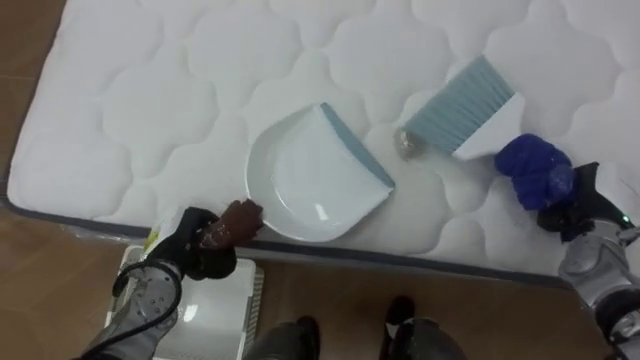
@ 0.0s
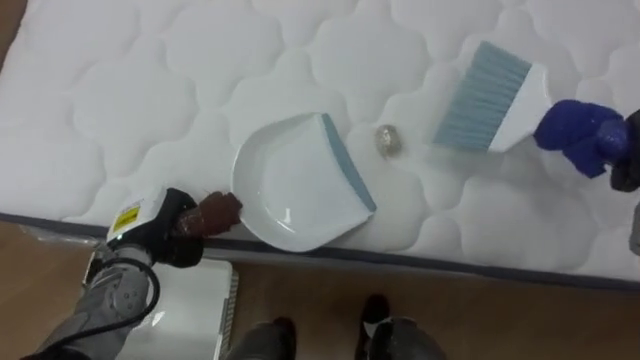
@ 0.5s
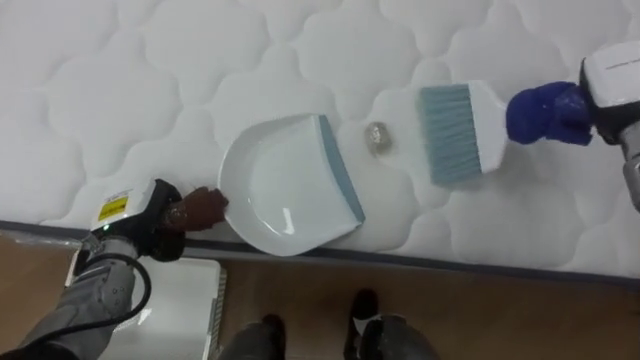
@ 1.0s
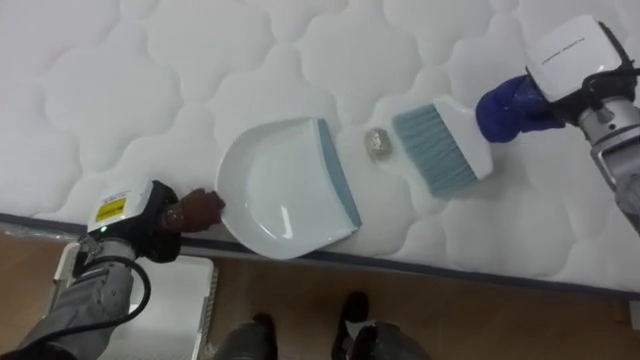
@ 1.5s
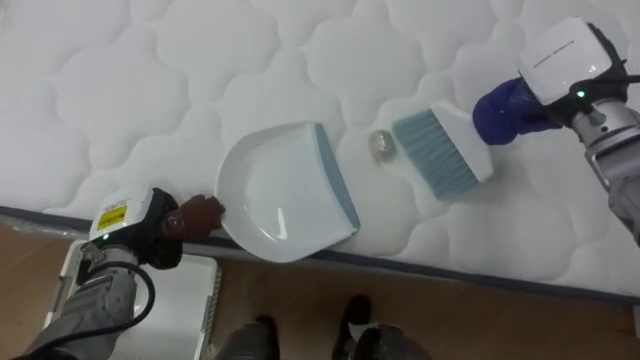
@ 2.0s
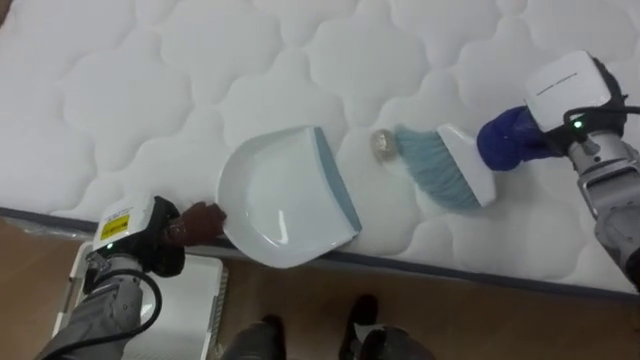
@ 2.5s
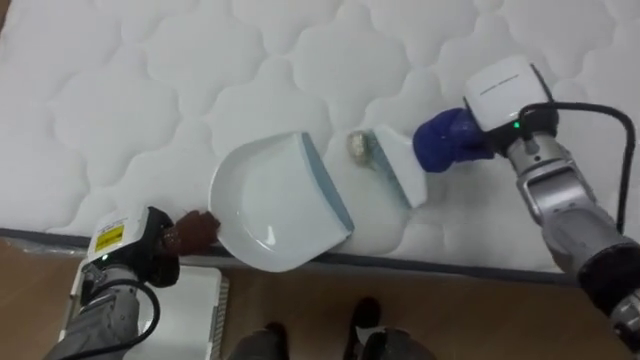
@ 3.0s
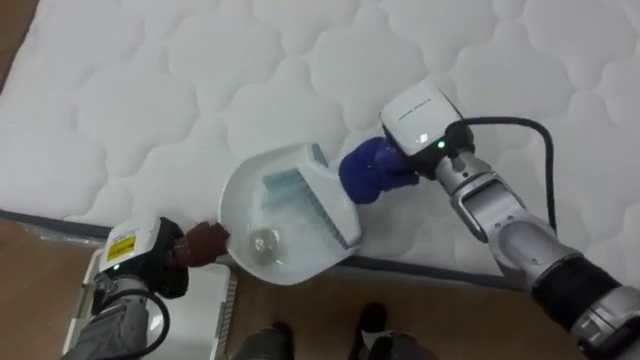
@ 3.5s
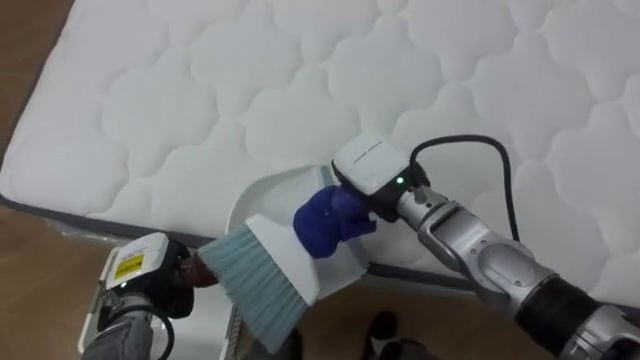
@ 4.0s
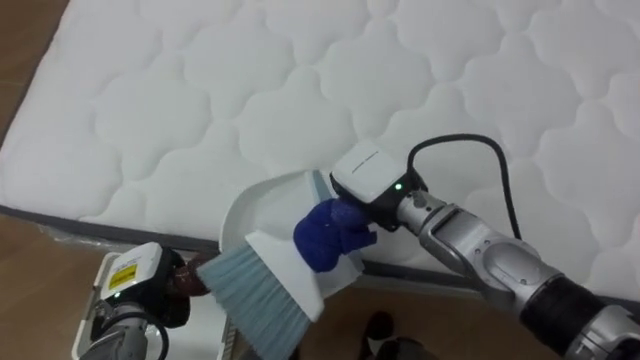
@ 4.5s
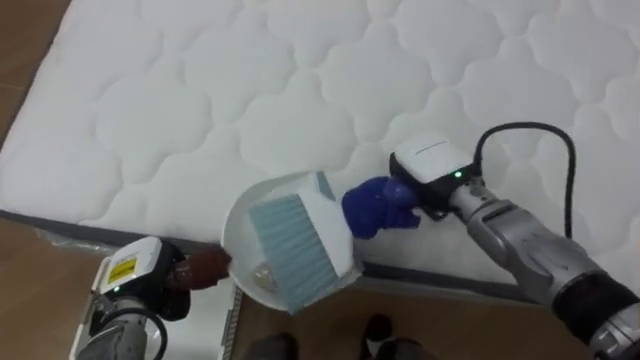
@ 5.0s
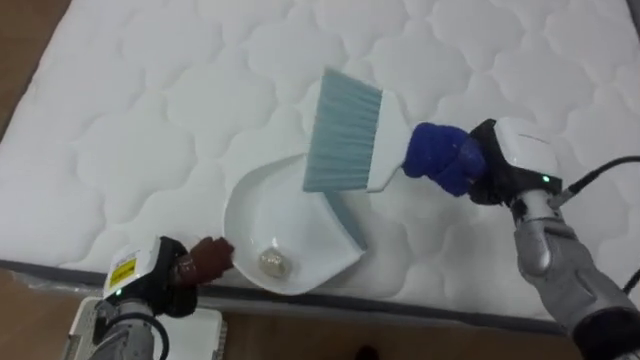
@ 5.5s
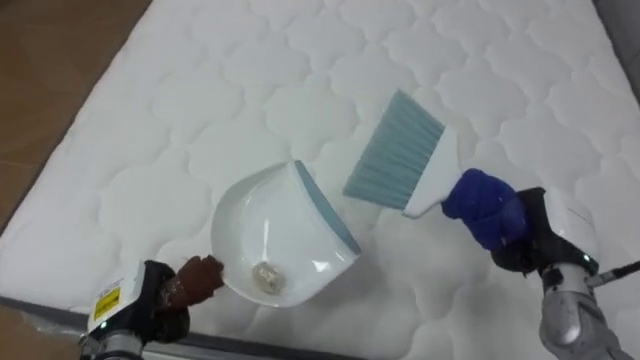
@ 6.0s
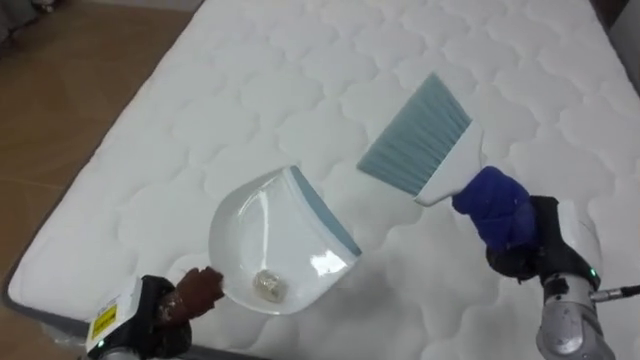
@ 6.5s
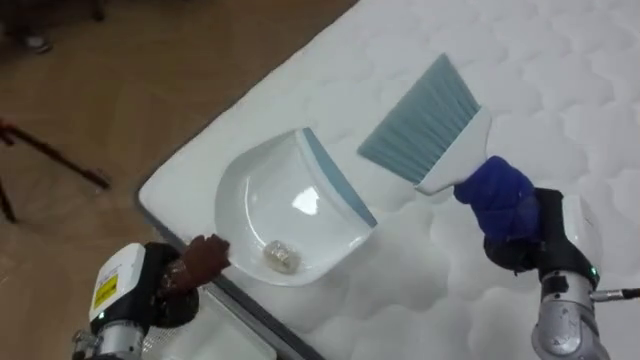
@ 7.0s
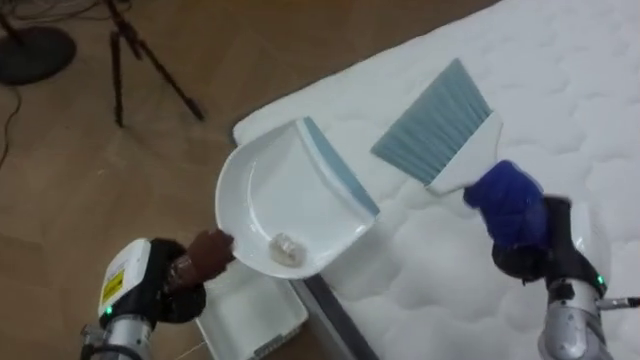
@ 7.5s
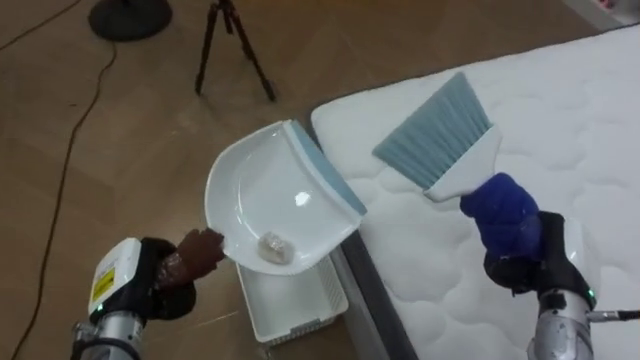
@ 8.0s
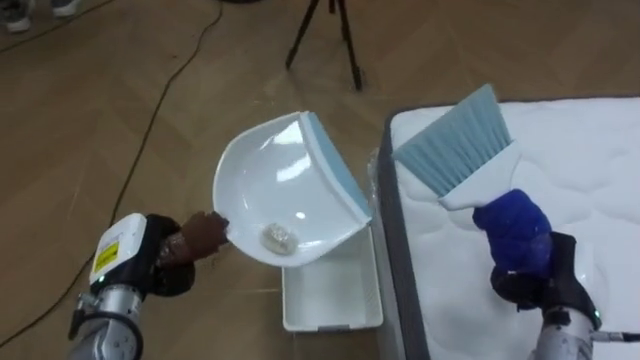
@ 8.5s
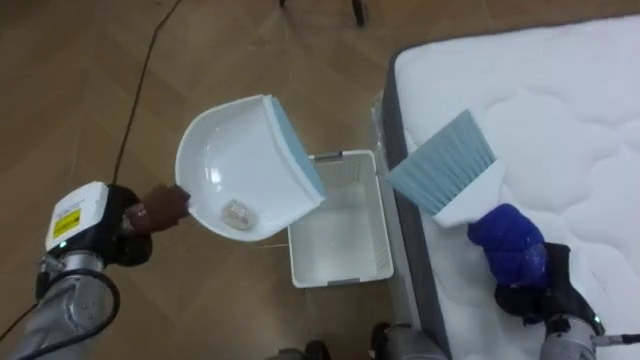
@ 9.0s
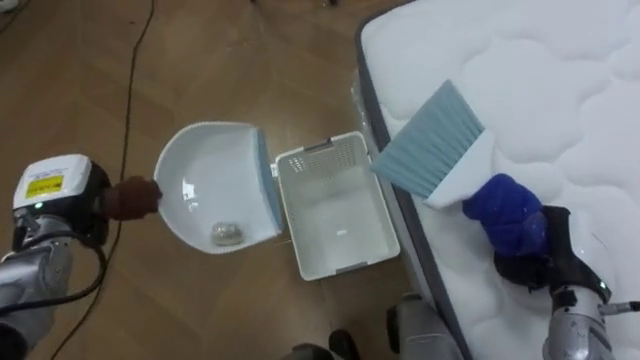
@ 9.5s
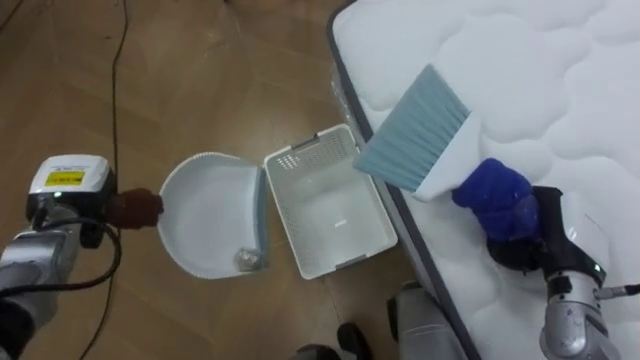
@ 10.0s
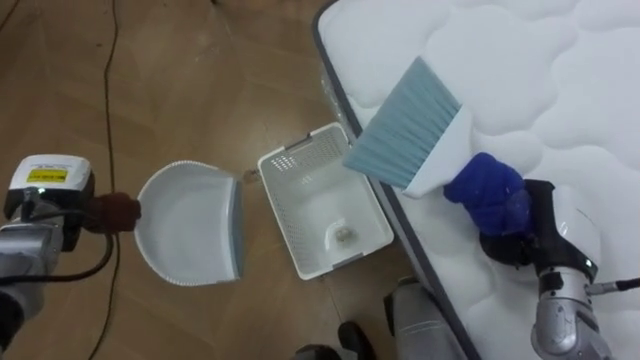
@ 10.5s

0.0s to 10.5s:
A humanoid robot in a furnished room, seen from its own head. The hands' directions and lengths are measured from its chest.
Task of the whole recording: Pick up the brush on your right and the dustpan on your left. Use the brush to sweep the crumpled paper on the bed into the dustpan, then turn left and empty it into the basket.
0.0s to 2.0s: The left hand heads to the left, covering about 5 cm.
2.0s to 4.0s: The right hand travels to the left and downward by approximately 25 cm. The left hand heads downward, covering about 5 cm.
4.0s to 6.5s: The right hand goes approximately 25 cm to the right, while the left hand moves backward, some 5 cm.
6.5s to 8.5s: The robot faces roughly 80 degrees further to its left. The left hand shifts some 5 cm forward.
8.5s to 10.5s: The right hand ends up some 5 cm from where it was, while the left hand moves to the left and forward, about 10 cm.

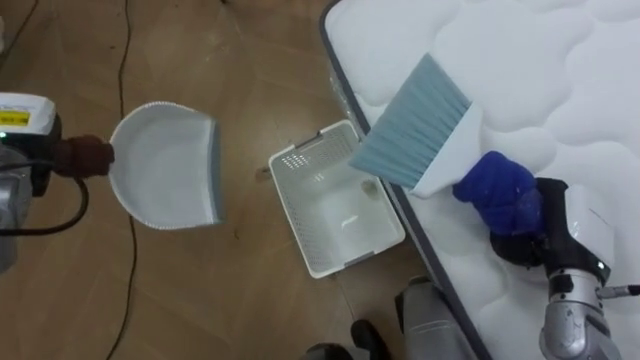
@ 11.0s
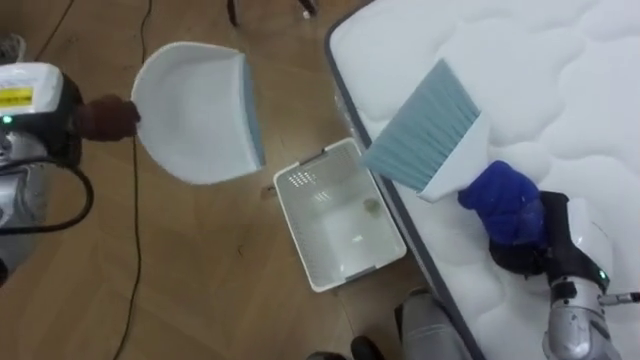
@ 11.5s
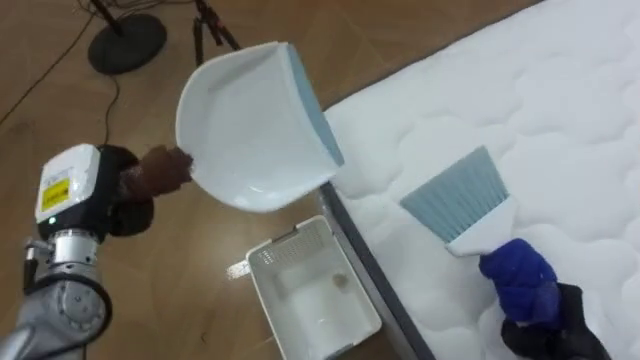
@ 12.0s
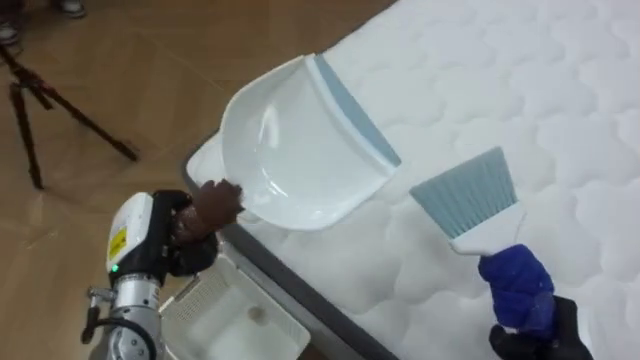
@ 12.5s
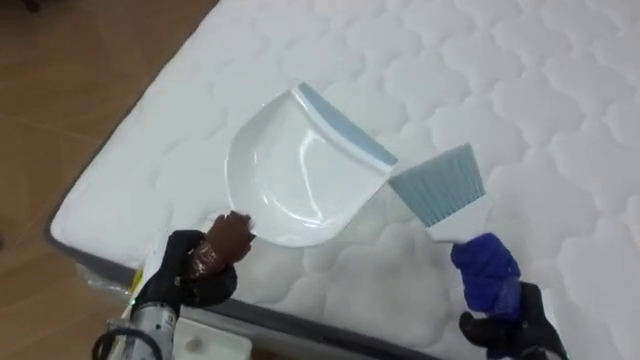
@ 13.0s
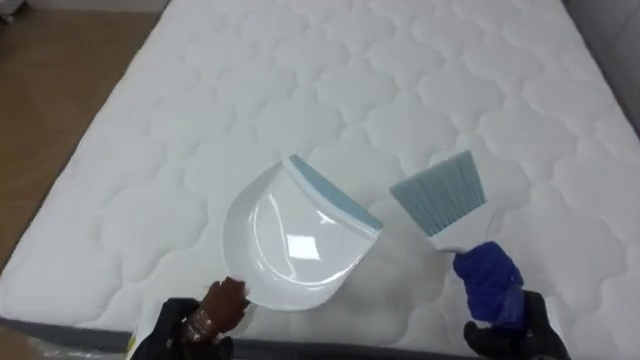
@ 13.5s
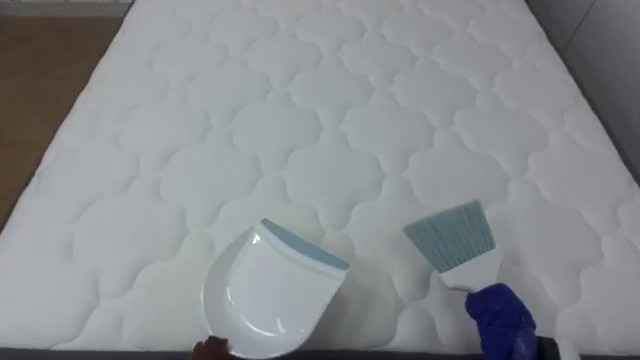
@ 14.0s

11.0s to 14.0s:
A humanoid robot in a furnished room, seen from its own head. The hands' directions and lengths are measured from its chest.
Task of the whole recording: Pick up the brush on your right and the dustpan on your left. Use the brush to sweep the crumpled paper on the bed into the dustpan, then turn left and empty it into the basket.
11.0s to 12.5s: The robot faces roughly 45 degrees further to its right. The left hand shifts about 20 cm to the right, backward and downward.
12.5s to 14.0s: The robot faces roughly 45 degrees further to its right.

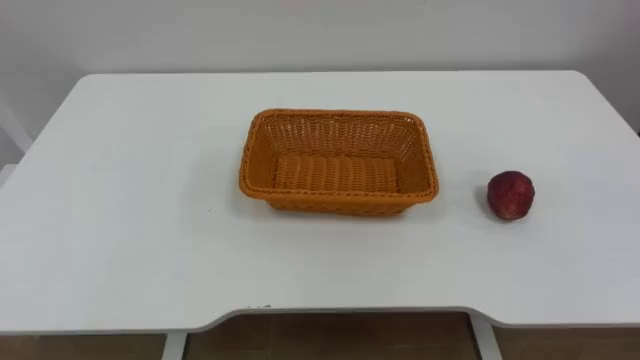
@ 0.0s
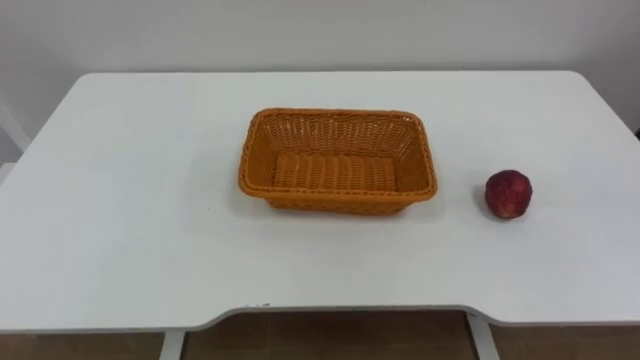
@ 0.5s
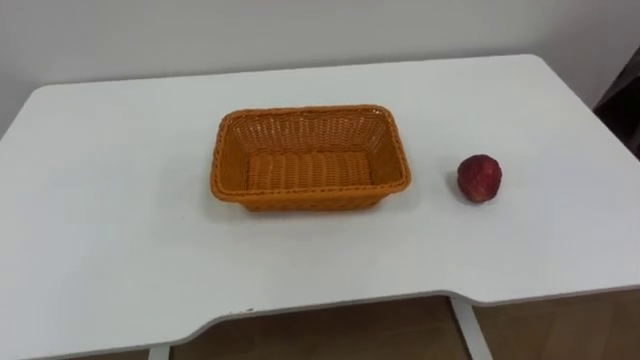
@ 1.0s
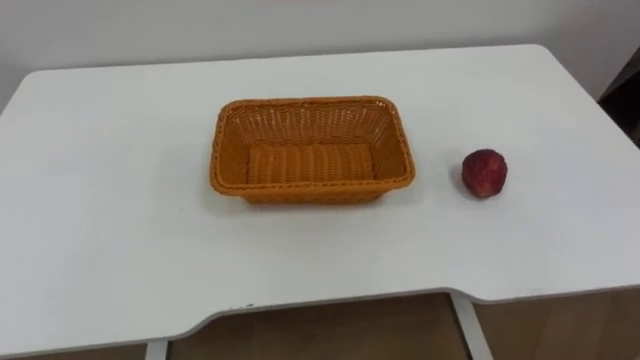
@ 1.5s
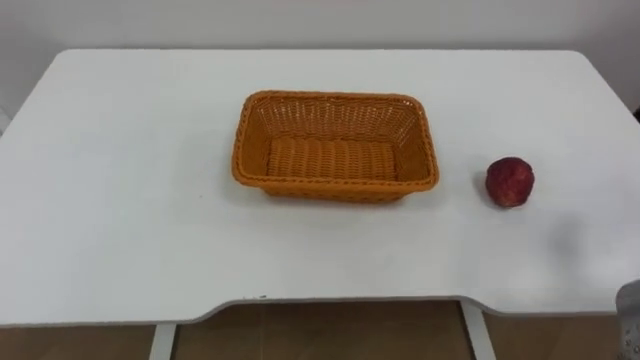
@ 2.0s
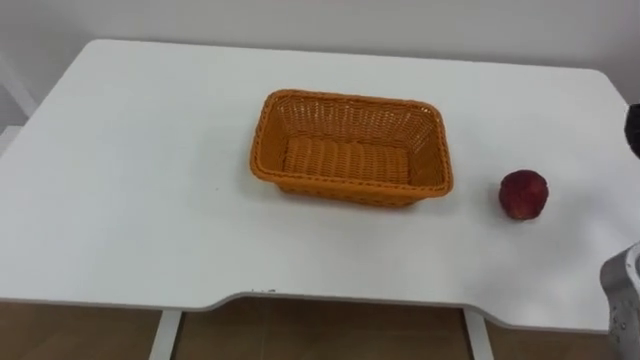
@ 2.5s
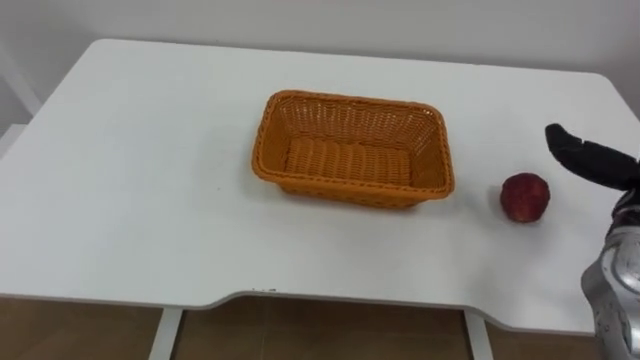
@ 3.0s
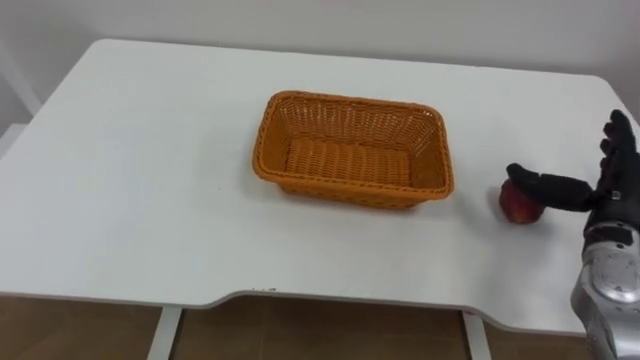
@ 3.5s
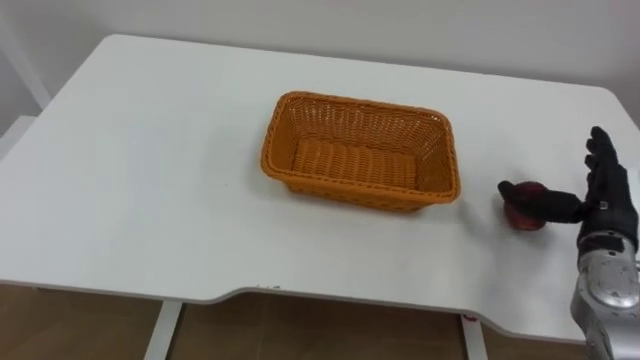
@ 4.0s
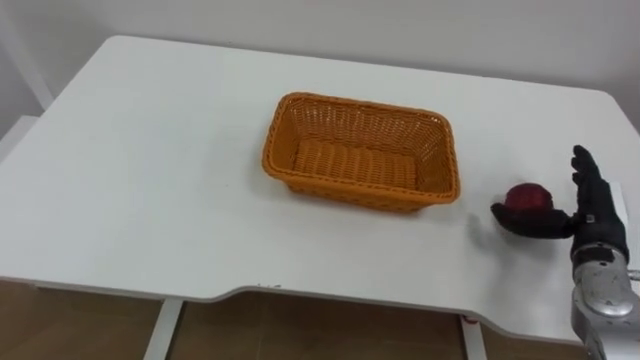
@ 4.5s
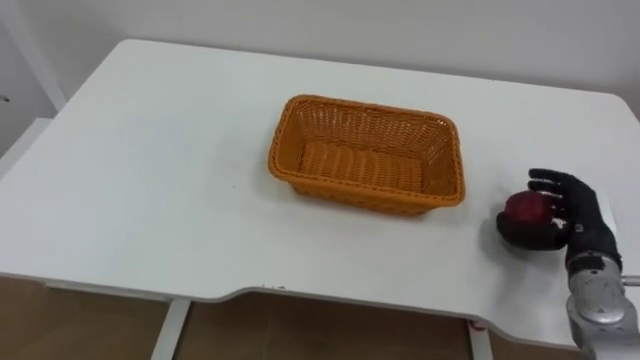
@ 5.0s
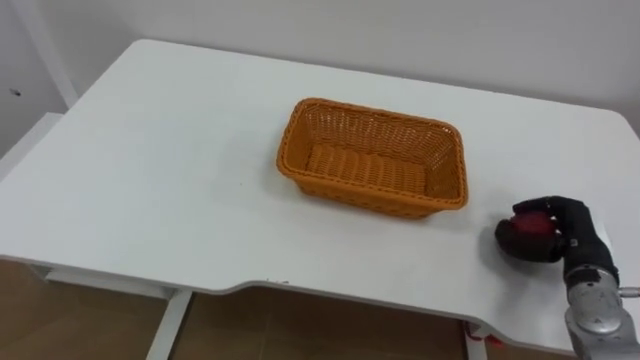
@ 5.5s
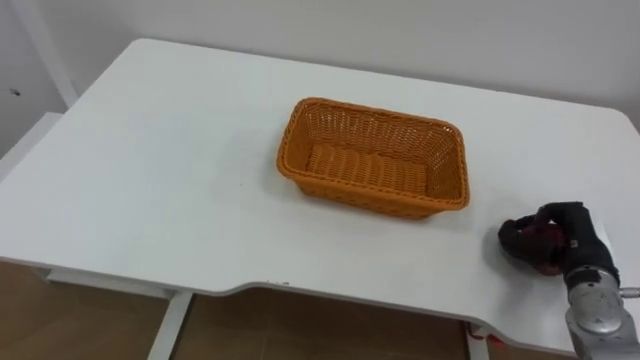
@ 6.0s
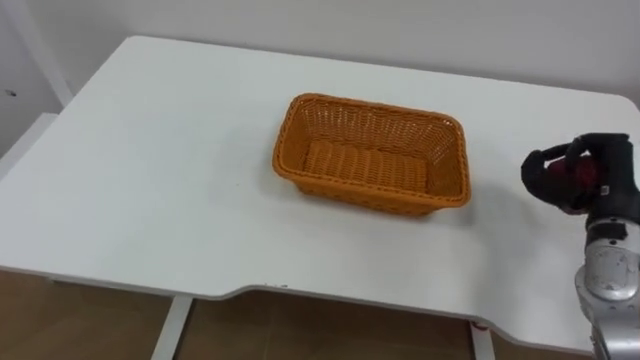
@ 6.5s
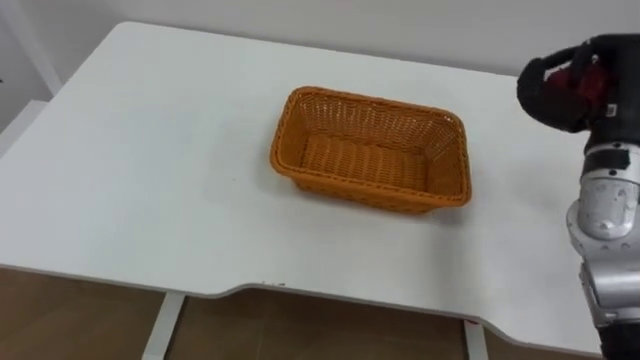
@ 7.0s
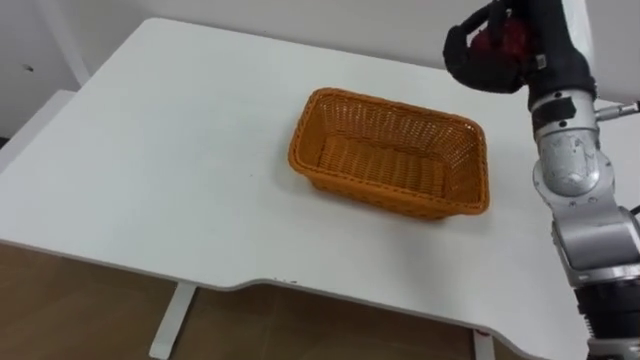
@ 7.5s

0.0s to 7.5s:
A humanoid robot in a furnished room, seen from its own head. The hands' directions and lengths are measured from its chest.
Task of the whole recording: Pick the apple and place it in the box.
4.0s to 5.5s: The right hand heads downward, covering approximately 5 cm, and closes its fingers.
5.5s to 7.5s: The right hand travels upward, forward and to the left by about 25 cm.
